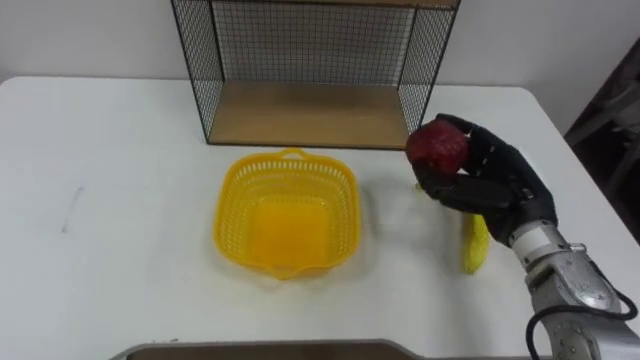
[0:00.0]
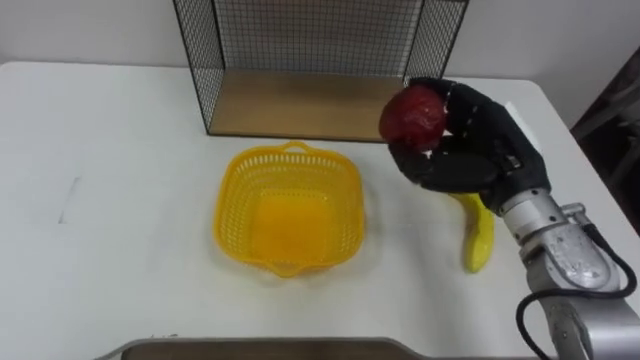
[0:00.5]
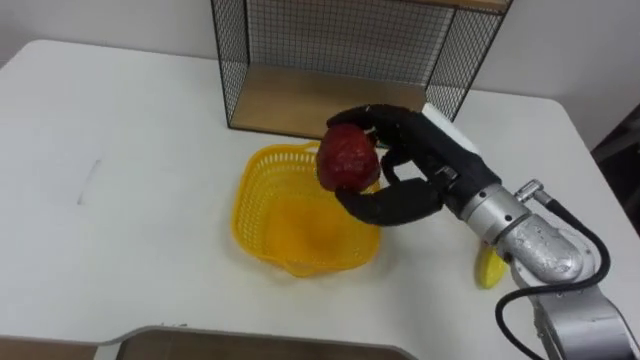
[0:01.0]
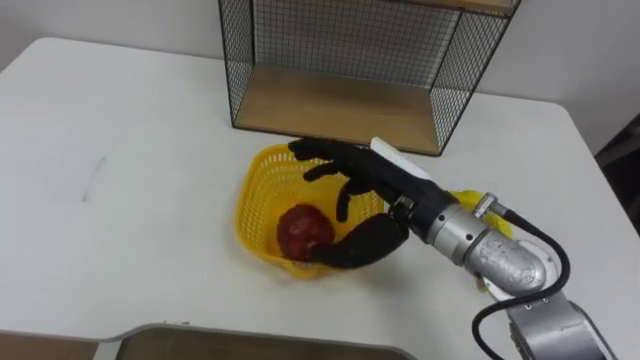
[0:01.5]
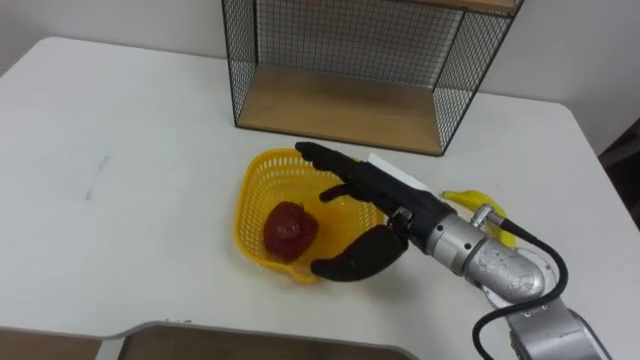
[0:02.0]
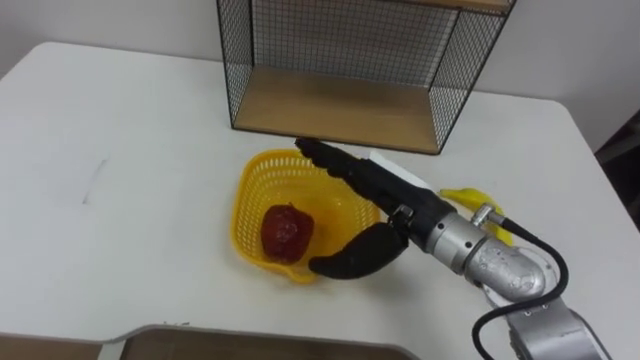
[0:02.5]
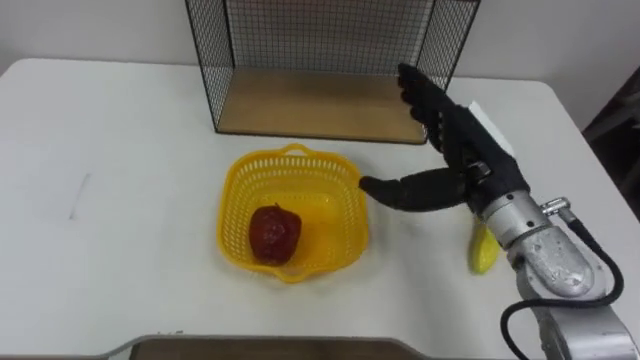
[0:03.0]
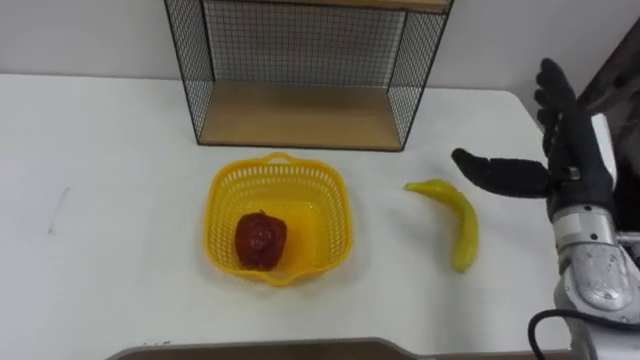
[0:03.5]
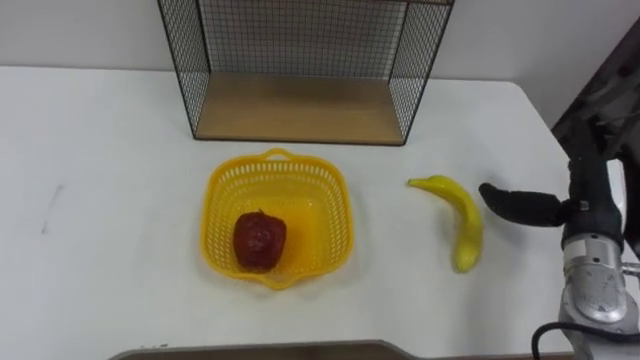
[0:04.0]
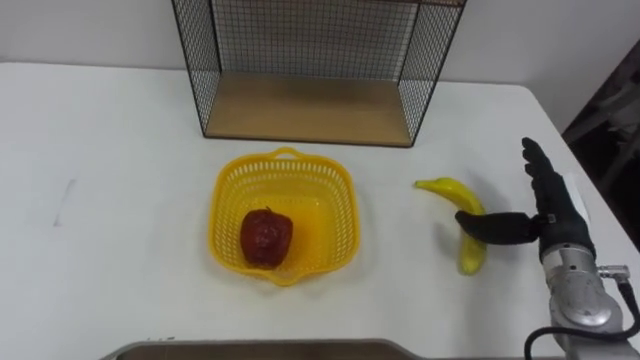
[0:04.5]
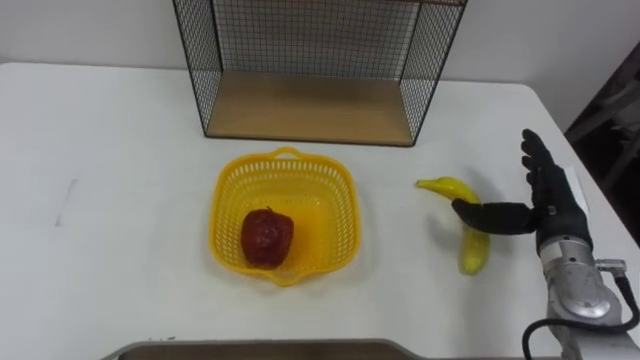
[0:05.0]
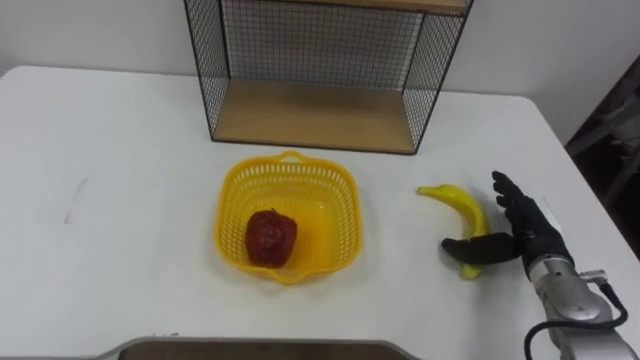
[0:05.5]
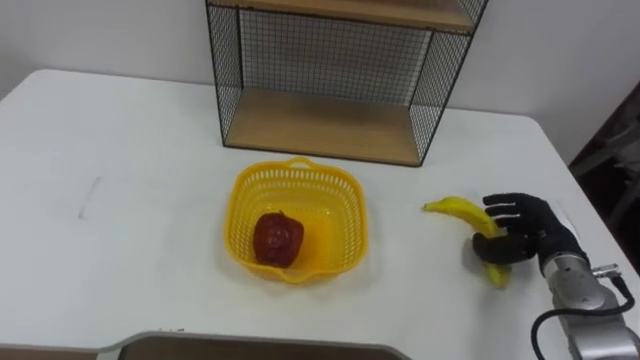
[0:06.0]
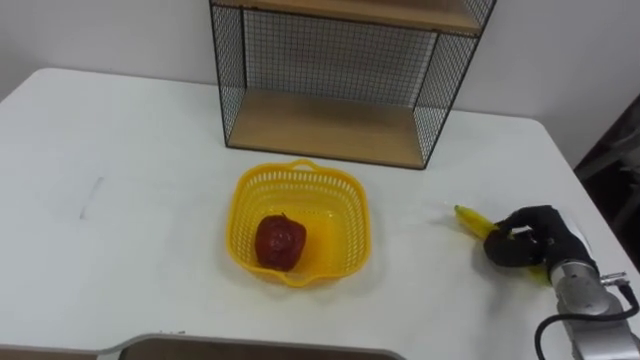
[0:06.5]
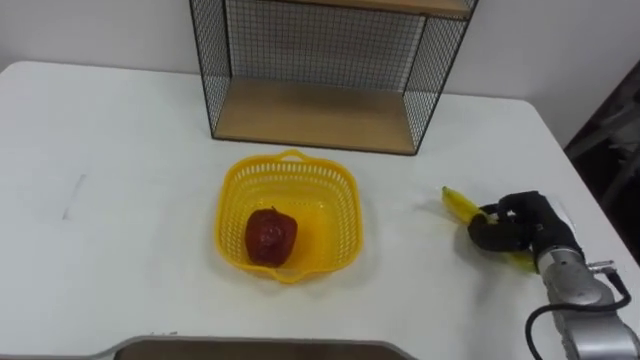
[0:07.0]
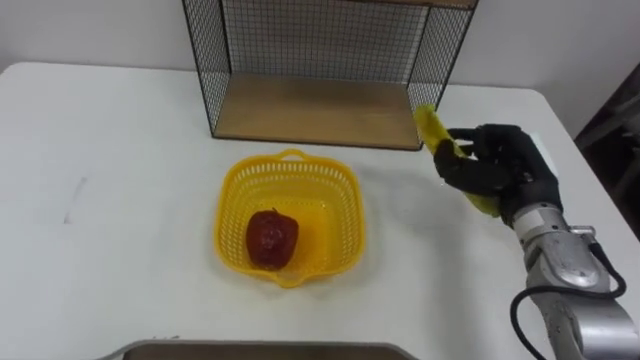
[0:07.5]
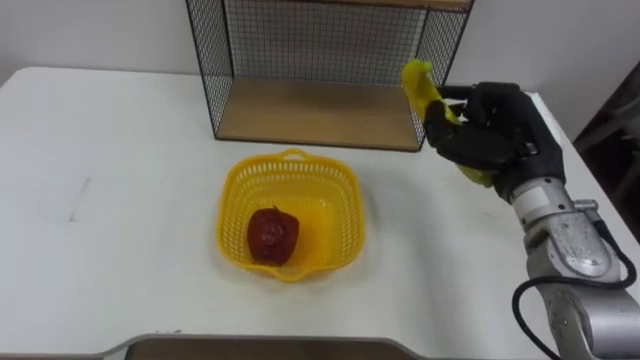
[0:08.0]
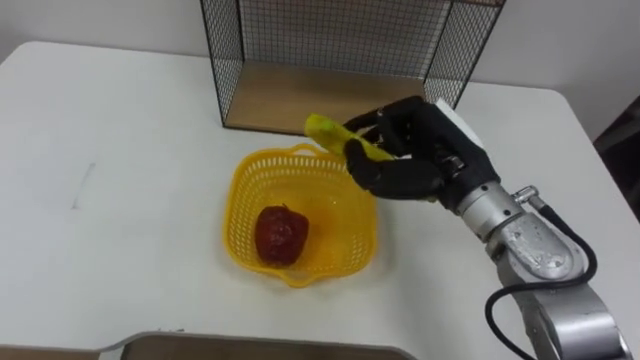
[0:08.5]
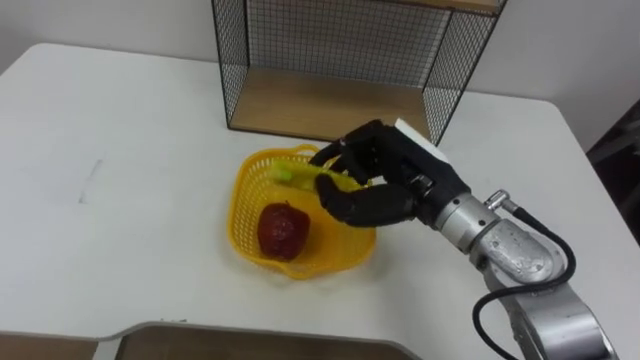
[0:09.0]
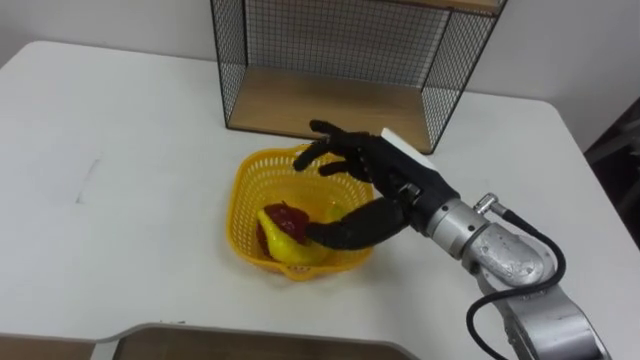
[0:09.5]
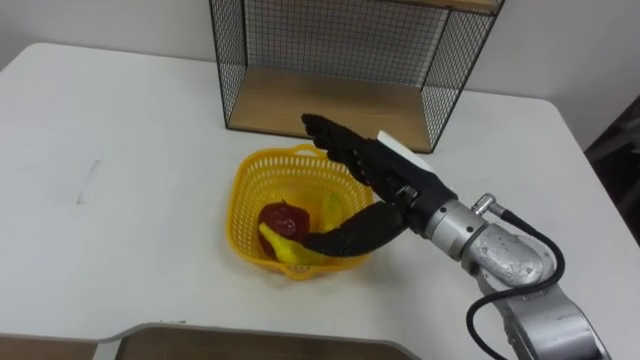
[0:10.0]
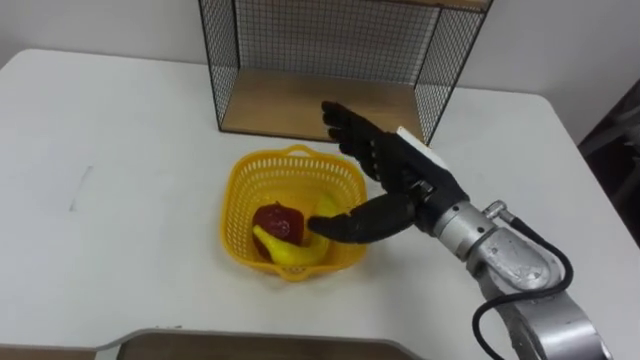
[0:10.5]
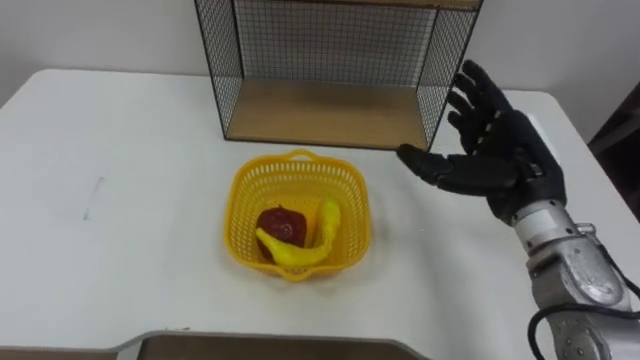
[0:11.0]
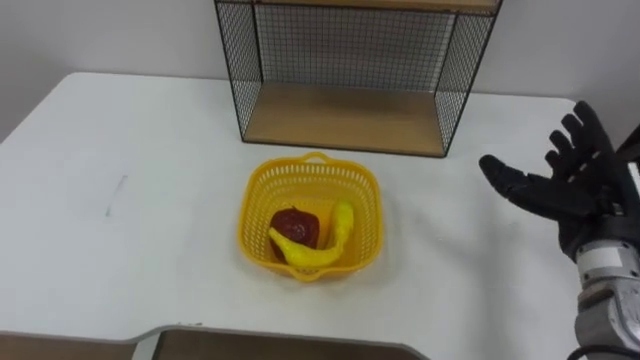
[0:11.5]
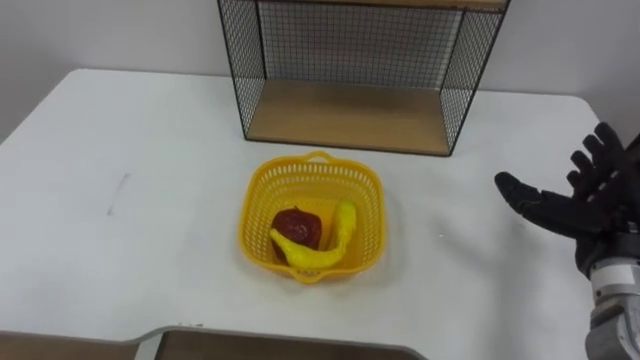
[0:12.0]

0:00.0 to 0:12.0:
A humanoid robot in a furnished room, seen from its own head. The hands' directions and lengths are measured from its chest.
Task of the whole recording: Put the fruit on the table into the basket, then place the basket on the shelf.
0:00.0 to 0:02.0: The right hand shifts about 15 cm to the left, and opens up.
0:02.0 to 0:04.0: The right hand heads to the right, covering approximately 20 cm.
0:04.0 to 0:06.0: The right hand travels downward by roughly 10 cm, and closes.
0:06.0 to 0:08.0: The right hand moves upward and to the left, about 20 cm, and closes.
0:08.0 to 0:10.0: The right hand moves to the left, approximately 15 cm, and opens.
0:10.0 to 0:12.0: The right hand heads to the right, covering roughly 25 cm.

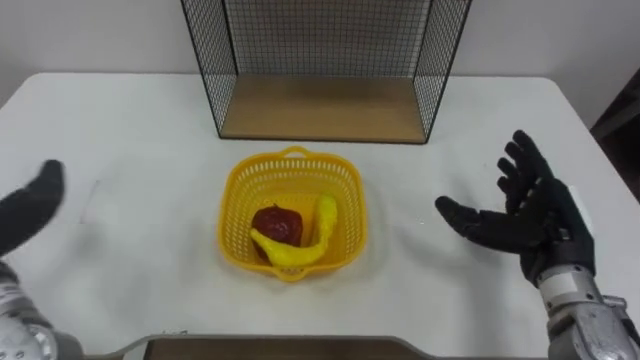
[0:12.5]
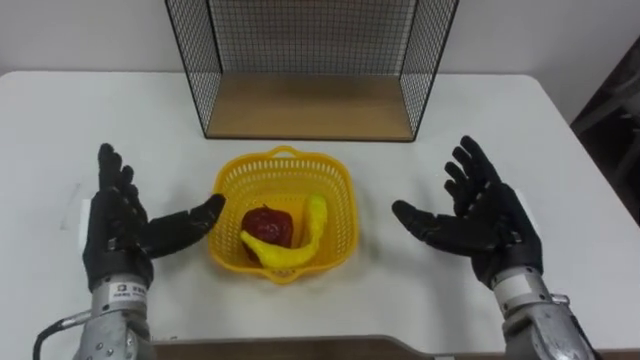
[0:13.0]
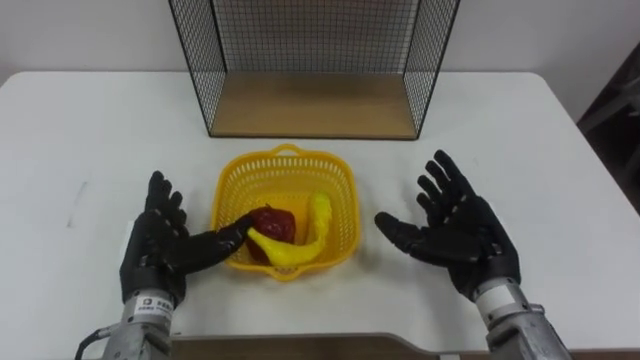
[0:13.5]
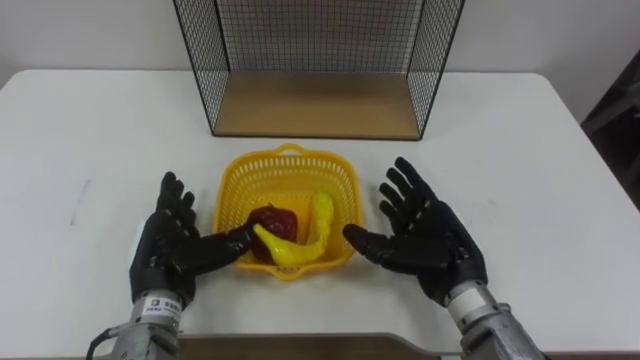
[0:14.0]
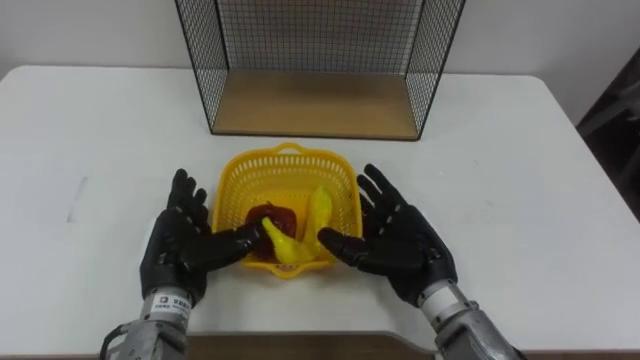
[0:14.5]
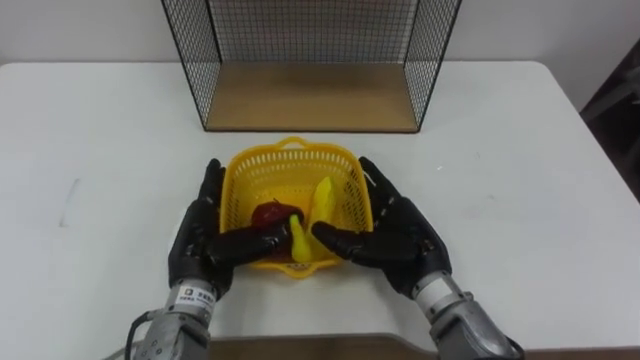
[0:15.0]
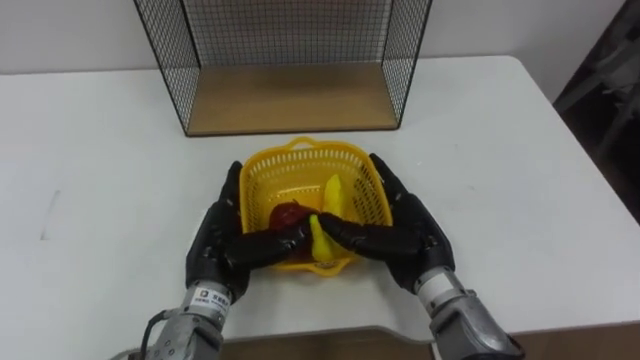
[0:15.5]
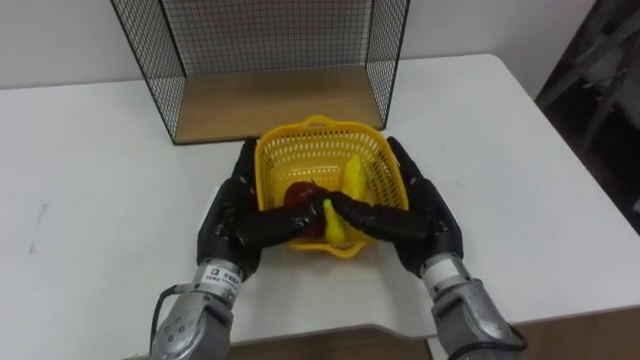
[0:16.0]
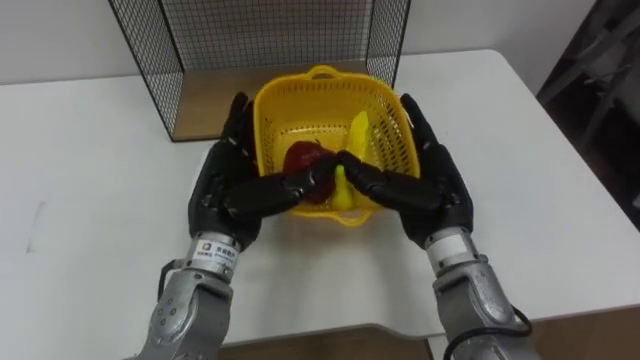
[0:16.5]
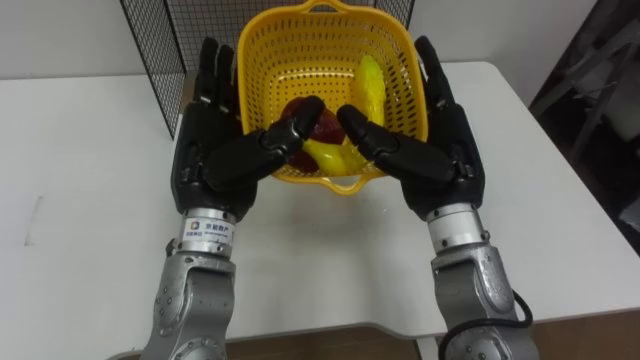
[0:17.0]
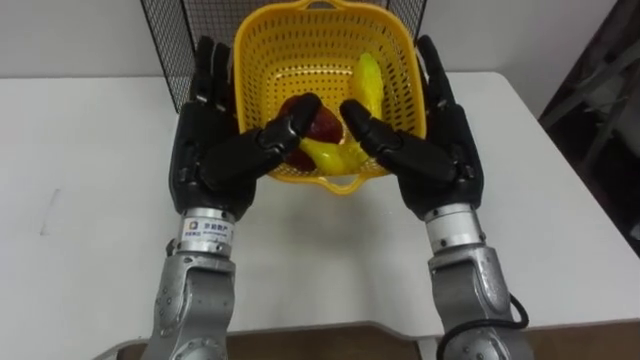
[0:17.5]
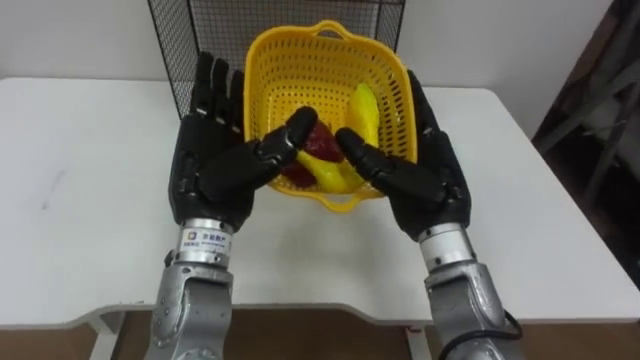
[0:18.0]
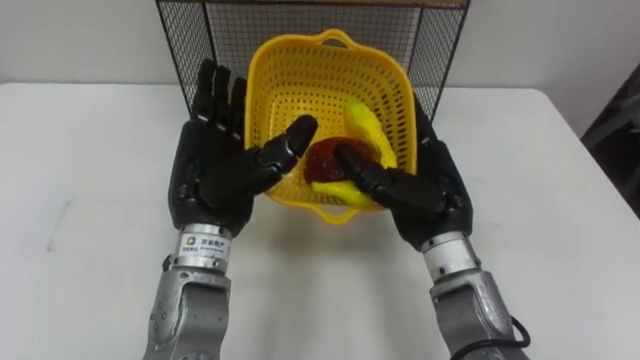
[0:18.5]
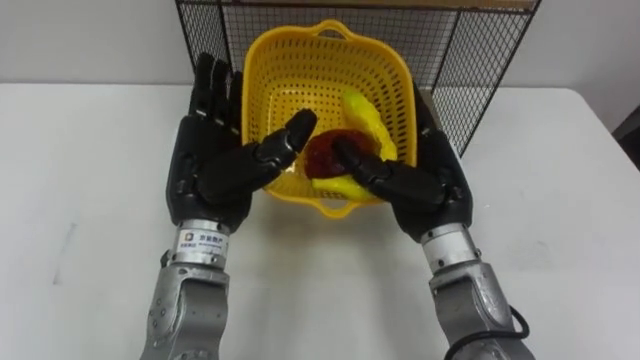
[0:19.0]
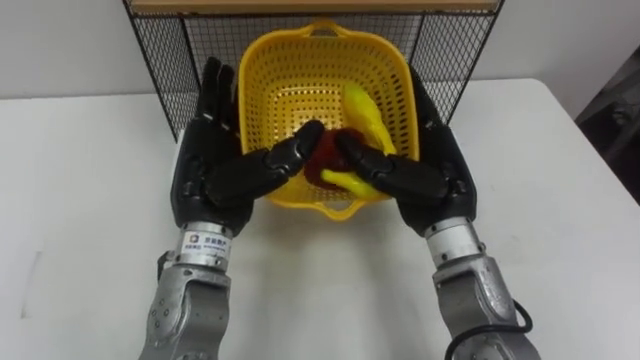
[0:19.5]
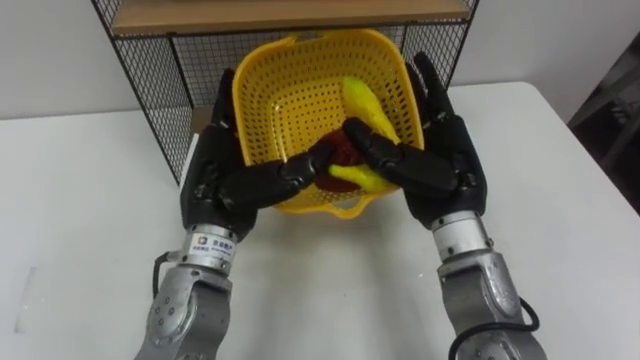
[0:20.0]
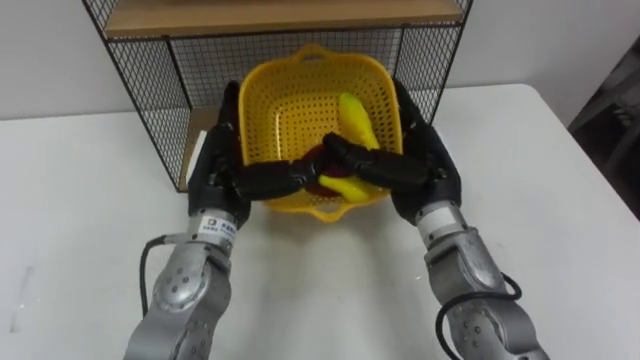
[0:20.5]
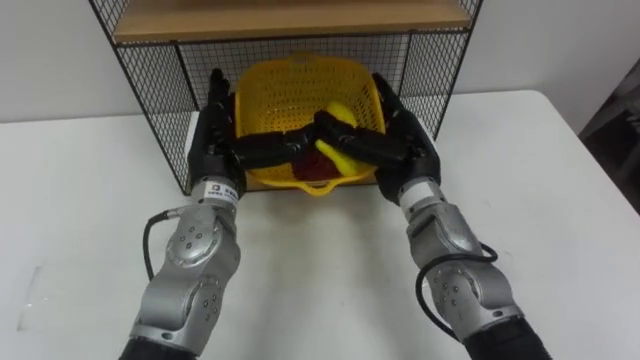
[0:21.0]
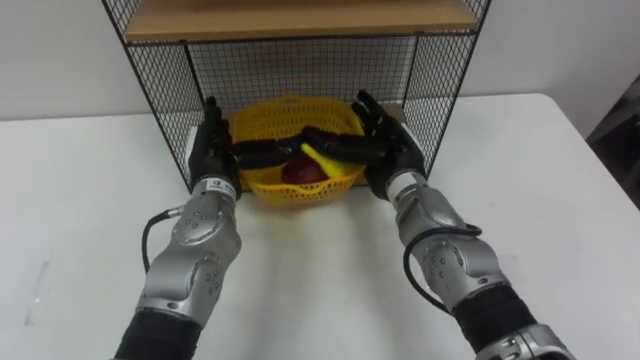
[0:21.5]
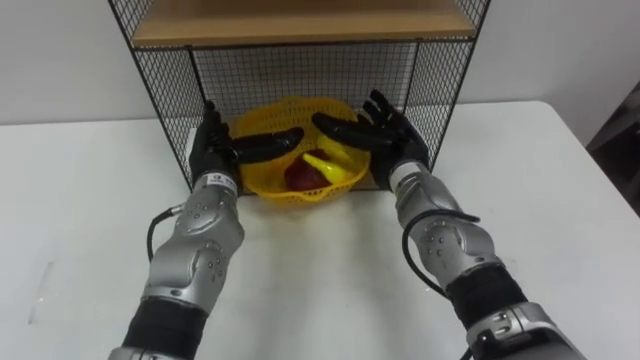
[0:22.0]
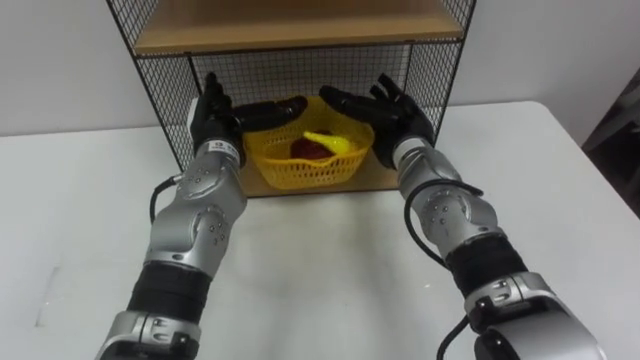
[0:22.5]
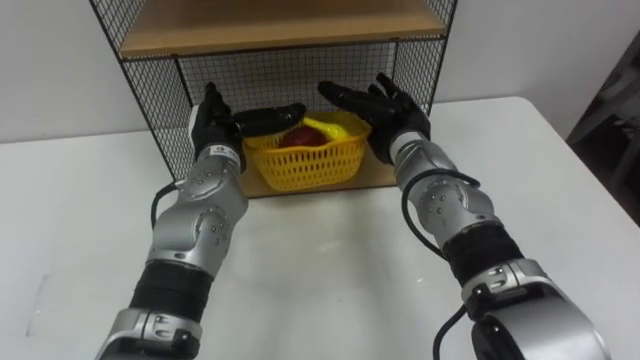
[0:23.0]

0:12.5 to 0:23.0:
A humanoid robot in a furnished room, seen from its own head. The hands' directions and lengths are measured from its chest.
Task of the whole recording: Put the fruit on the table into the basket, then place the basket on the shelf.
0:12.5 to 0:14.5: The right hand shifts approximately 15 cm to the left.
0:14.5 to 0:16.5: The left hand moves upward and to the right, about 10 cm, while the right hand travels upward by approximately 5 cm.
0:19.0 to 0:21.0: The two hands go some 5 cm forward.
0:21.0 to 0:23.0: The left hand moves approximately 5 cm, while the right hand moves forward, approximately 5 cm.
